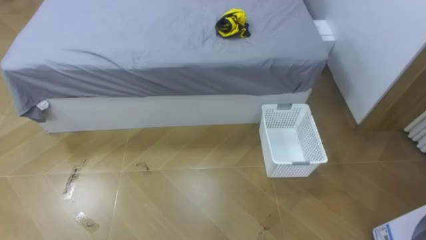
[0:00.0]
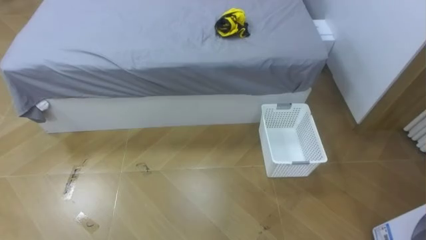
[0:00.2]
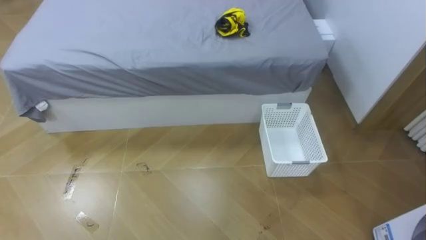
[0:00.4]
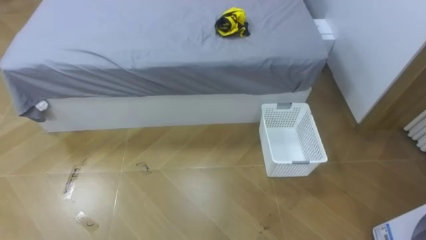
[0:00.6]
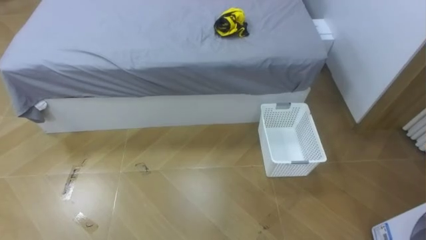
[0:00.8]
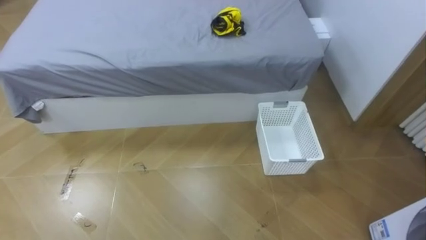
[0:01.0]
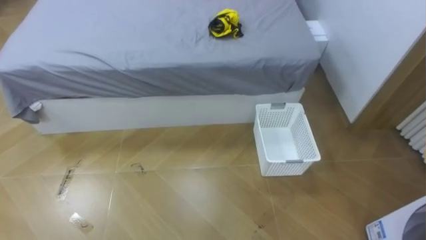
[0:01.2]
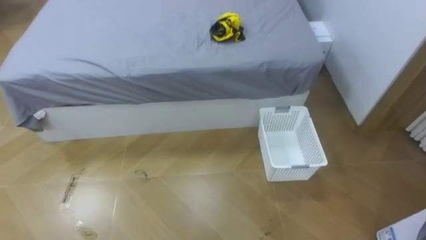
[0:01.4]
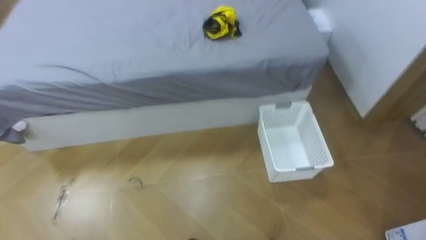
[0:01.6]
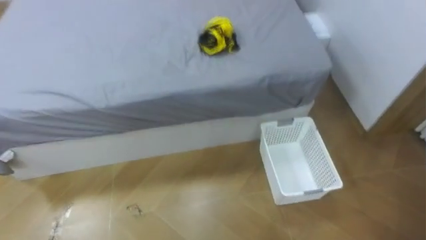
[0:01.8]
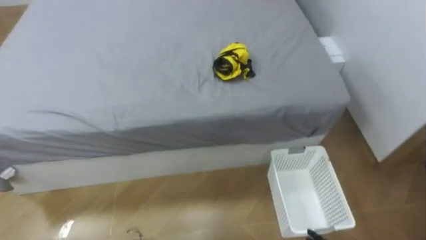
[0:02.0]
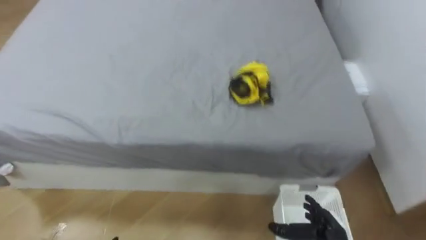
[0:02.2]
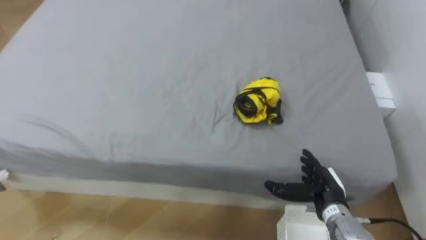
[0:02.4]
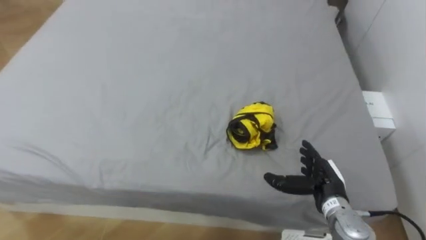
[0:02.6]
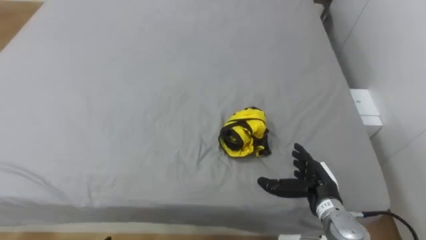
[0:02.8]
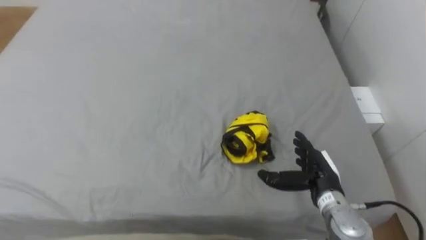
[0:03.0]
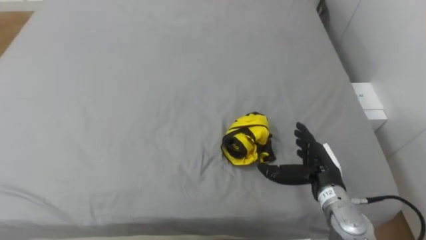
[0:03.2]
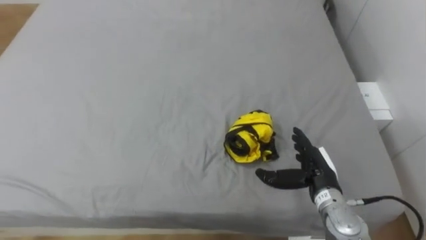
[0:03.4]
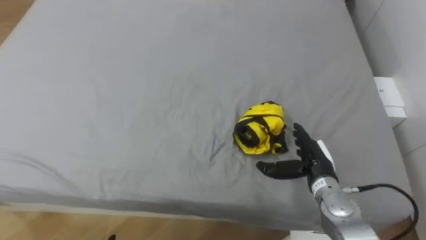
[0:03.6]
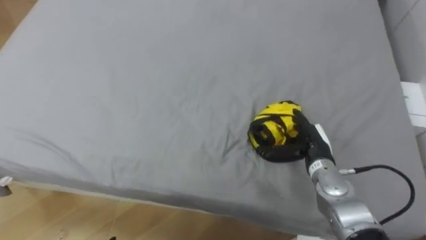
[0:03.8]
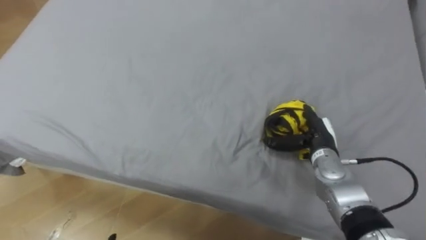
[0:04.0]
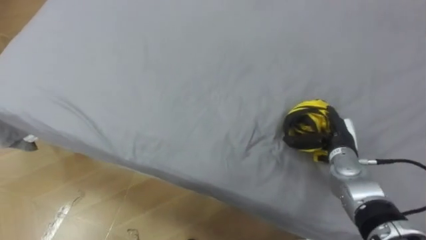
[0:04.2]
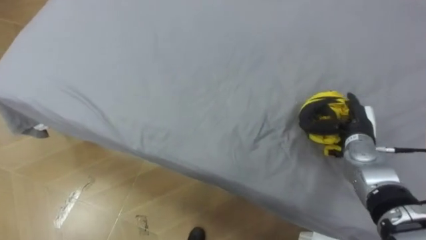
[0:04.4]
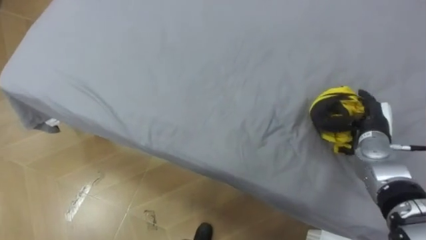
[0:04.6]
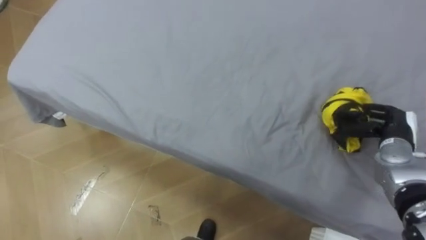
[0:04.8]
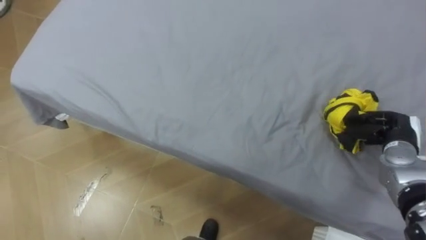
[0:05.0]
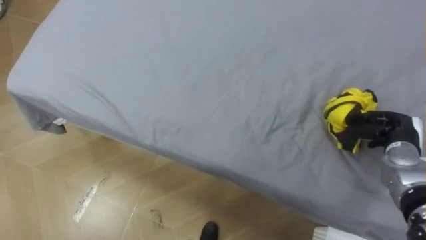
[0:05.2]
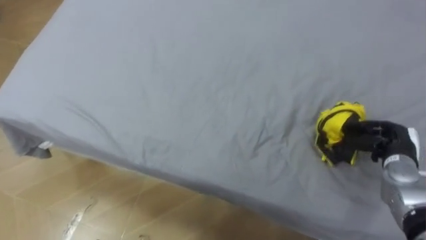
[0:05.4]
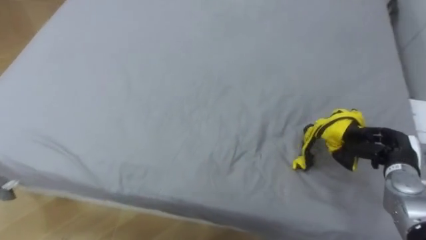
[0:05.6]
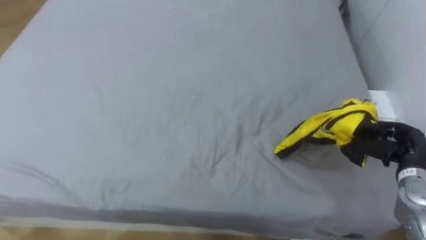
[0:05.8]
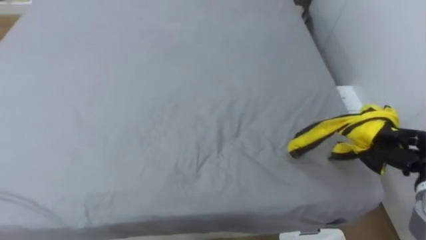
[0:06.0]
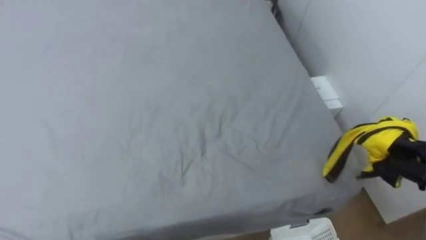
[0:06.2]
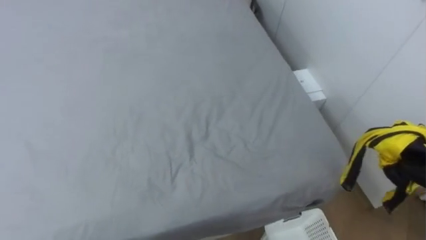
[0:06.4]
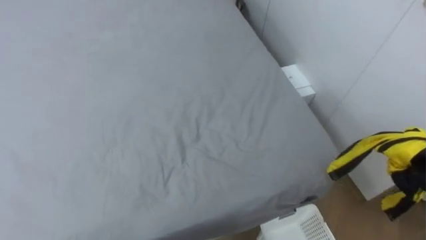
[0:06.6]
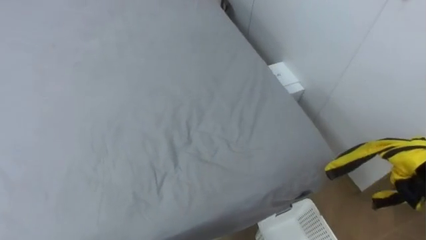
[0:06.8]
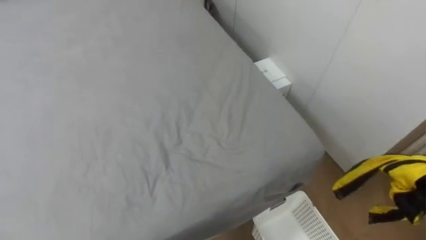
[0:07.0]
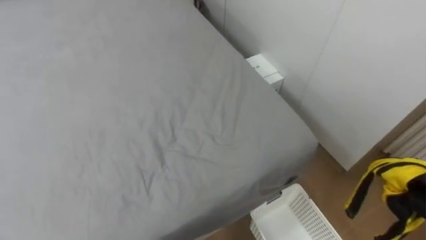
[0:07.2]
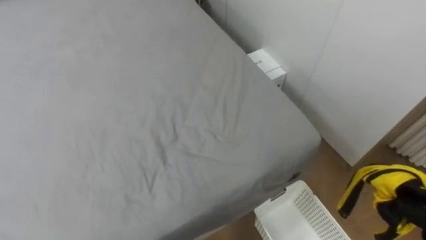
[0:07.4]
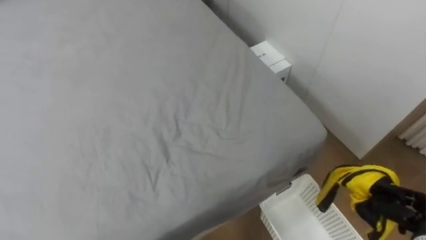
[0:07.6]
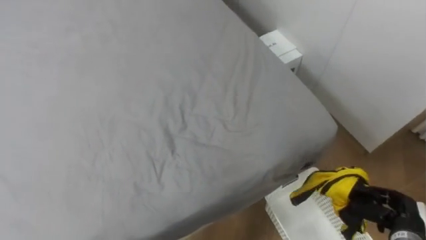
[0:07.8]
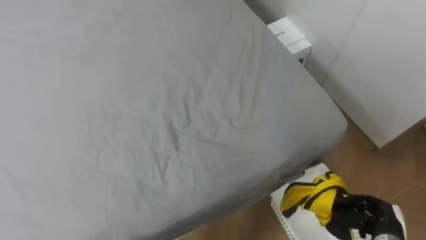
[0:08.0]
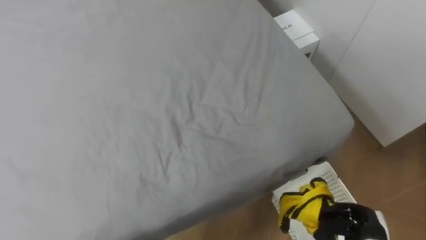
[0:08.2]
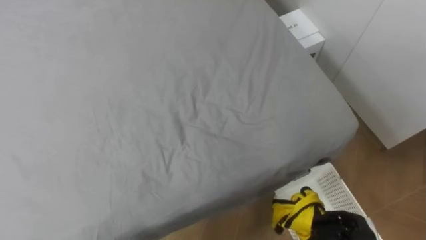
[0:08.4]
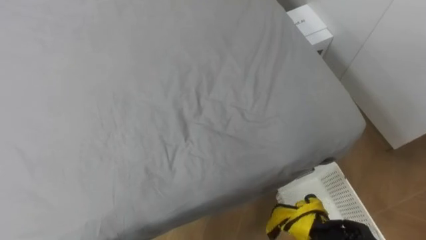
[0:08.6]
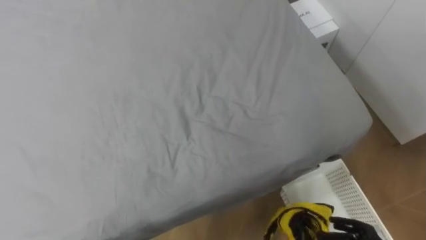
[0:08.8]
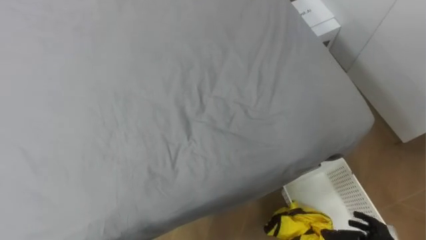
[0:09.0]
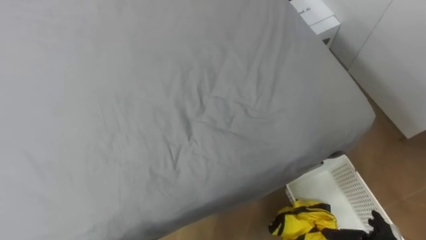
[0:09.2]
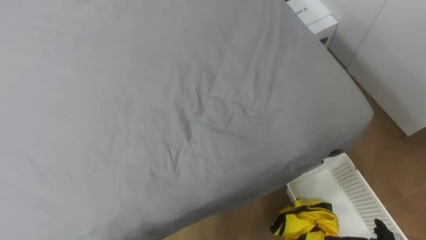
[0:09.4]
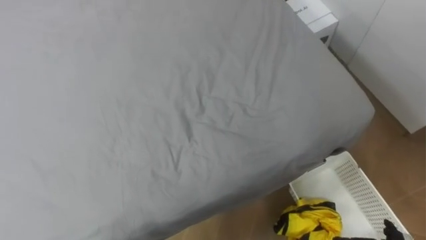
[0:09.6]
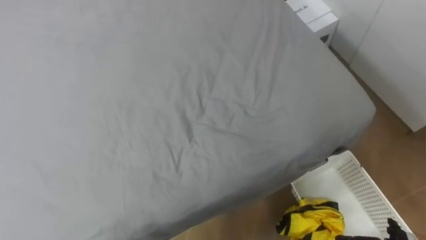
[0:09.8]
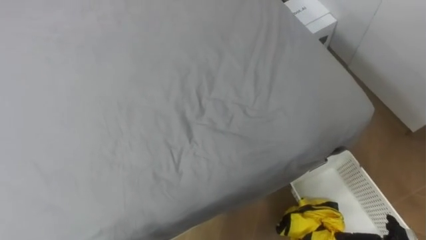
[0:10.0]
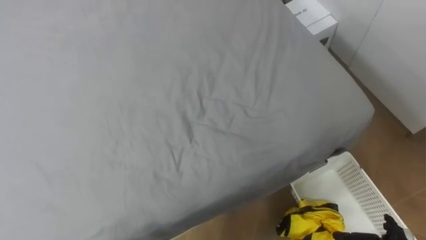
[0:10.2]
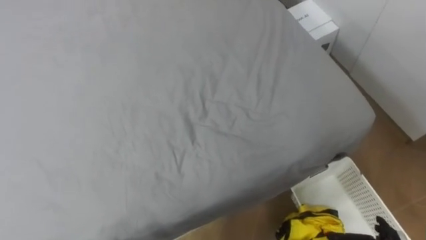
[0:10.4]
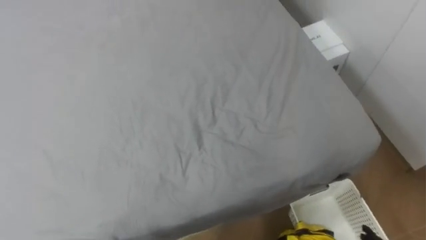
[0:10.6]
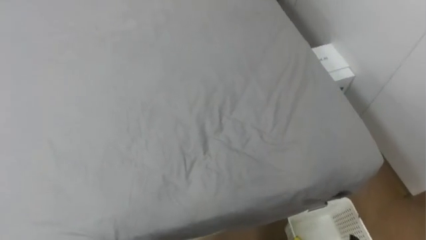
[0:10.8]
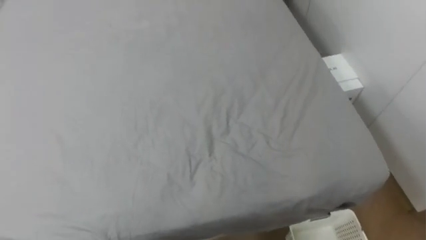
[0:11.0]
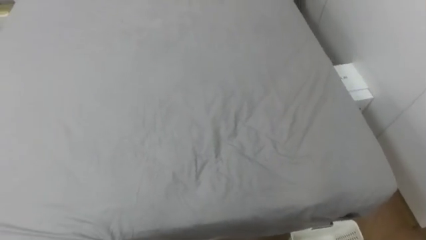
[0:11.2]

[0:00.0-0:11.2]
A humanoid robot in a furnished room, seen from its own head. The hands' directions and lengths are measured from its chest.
Task of the whole recording: Pick up the yellow clothes on the bed and place them into the white basket on the right.
0:03.2 to 0:04.8: The right hand is displaced to the right and forward by roughly 15 cm.

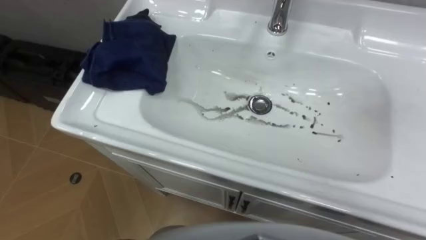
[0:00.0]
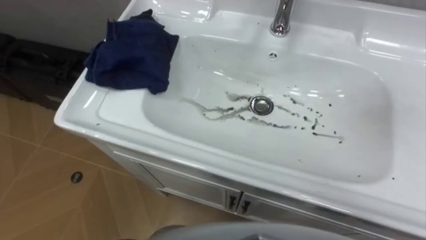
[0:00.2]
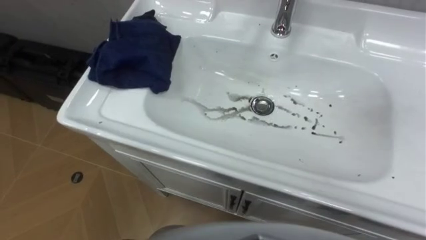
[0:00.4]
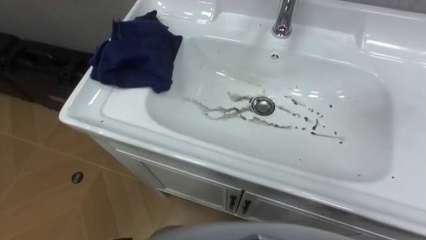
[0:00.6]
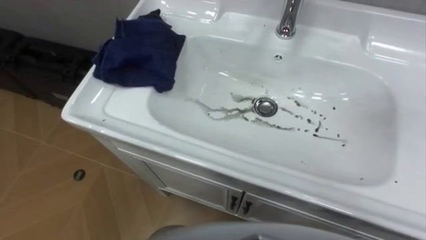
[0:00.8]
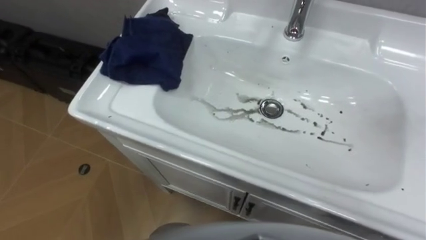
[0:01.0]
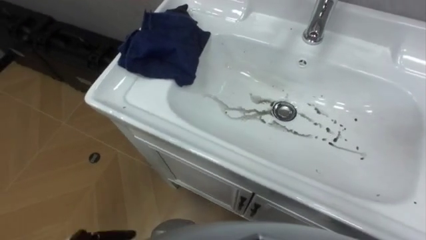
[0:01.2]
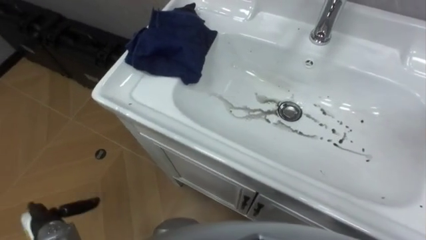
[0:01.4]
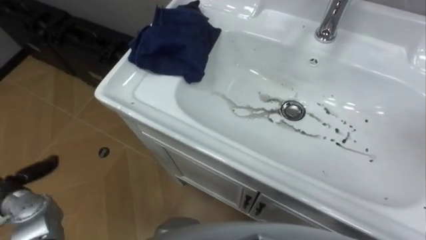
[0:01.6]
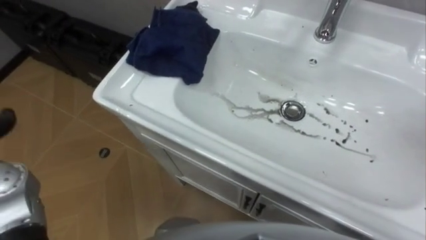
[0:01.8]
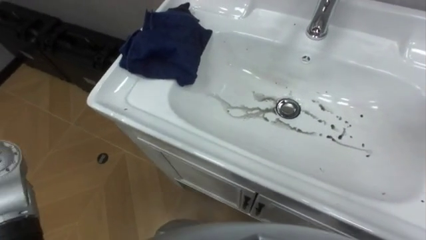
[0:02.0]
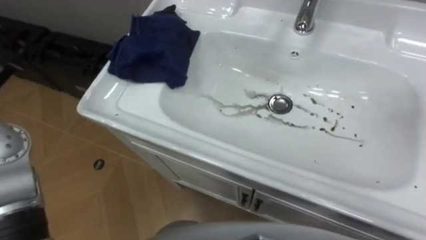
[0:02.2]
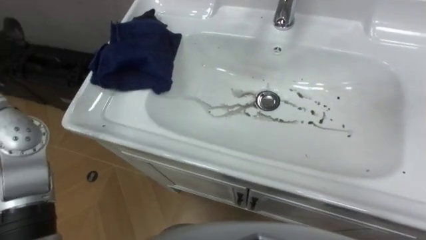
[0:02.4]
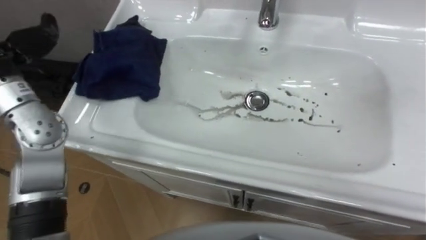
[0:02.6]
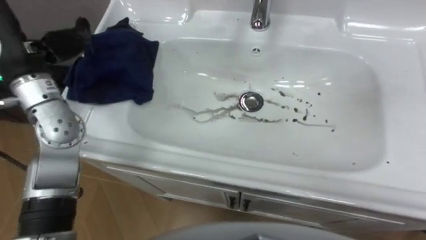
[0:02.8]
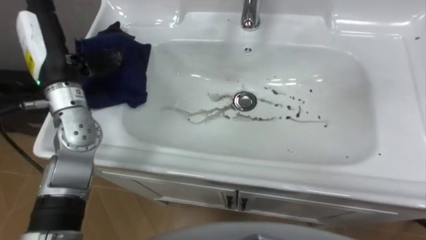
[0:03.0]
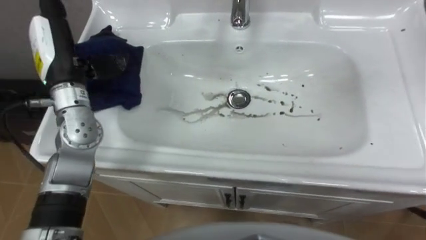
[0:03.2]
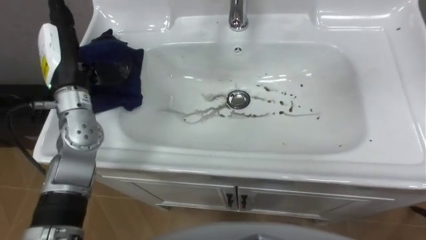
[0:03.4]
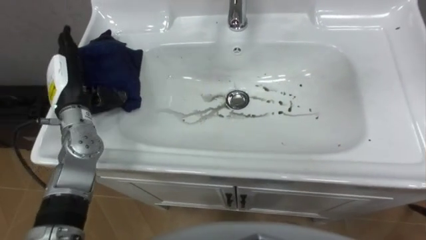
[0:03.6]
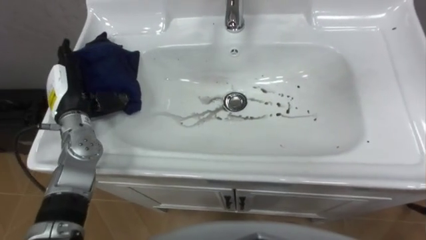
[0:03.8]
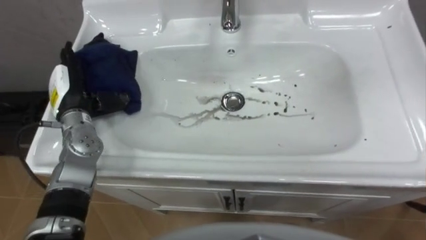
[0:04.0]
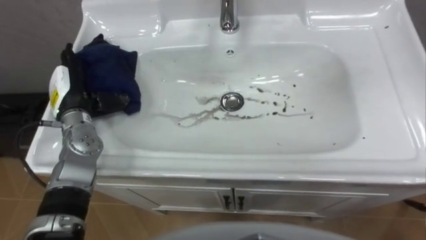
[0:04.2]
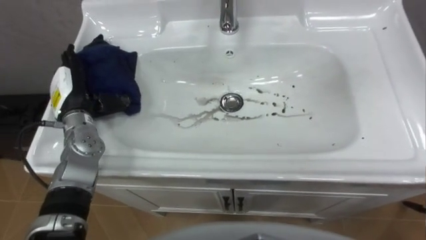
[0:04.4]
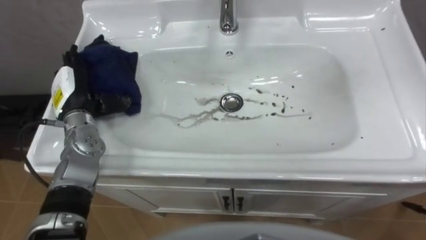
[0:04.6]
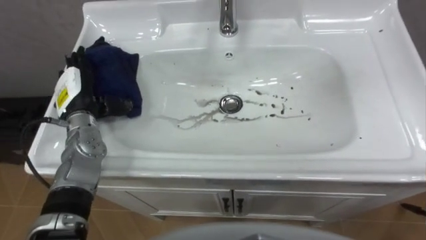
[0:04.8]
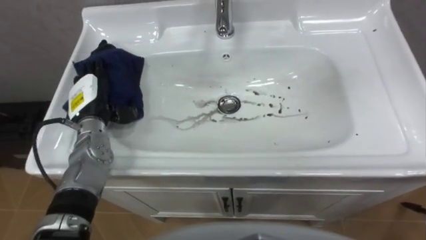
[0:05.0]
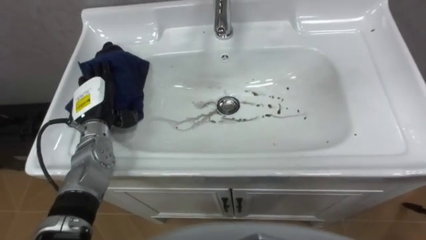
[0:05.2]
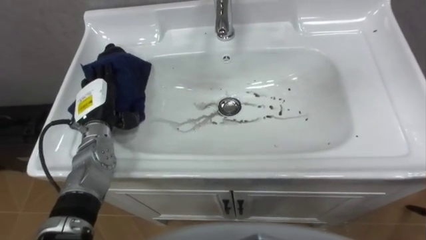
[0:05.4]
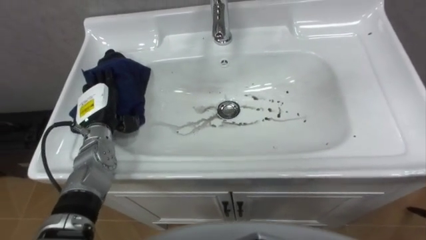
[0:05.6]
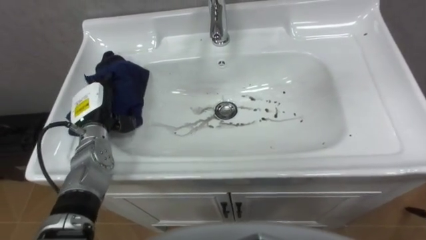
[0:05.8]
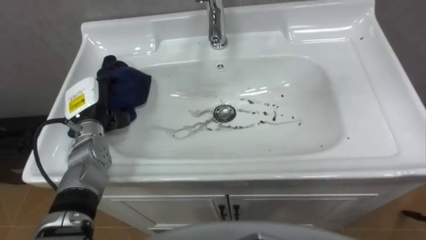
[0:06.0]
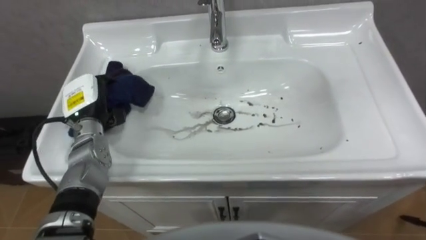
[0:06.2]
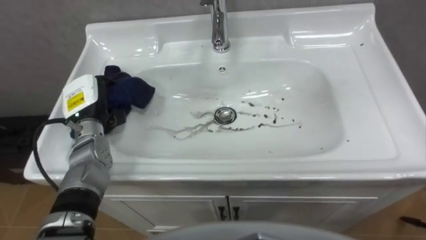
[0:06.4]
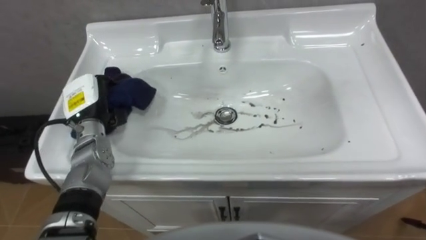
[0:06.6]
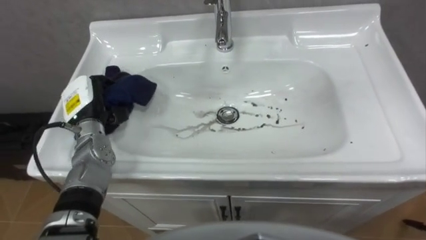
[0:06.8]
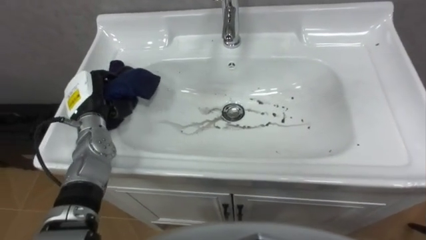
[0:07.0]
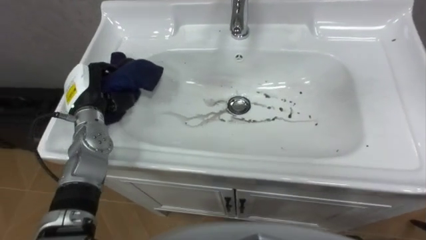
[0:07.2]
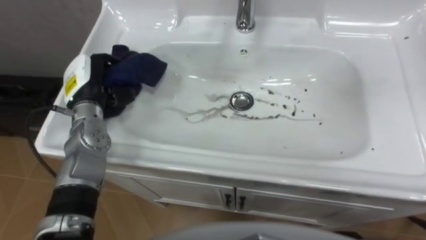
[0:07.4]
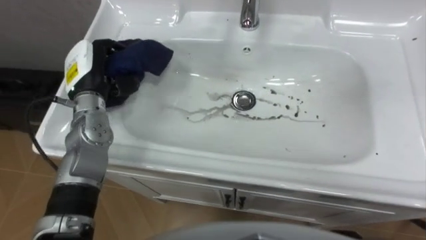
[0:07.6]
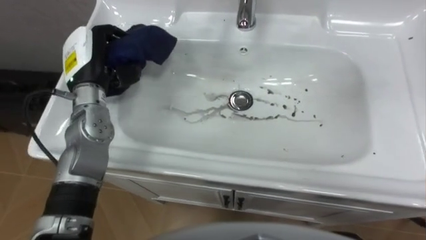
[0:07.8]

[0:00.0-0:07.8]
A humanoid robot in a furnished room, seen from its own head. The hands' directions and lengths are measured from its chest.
Task of the whole recording: Use the cloth on the right to wipe away the black stain in the sink.
0:03.2 to 0:04.6: The left hand moves downward, about 10 cm.
0:04.6 to 0:06.2: The left hand closes its fingers.
0:06.2 to 0:07.8: The left hand heads upward, covering about 10 cm.
